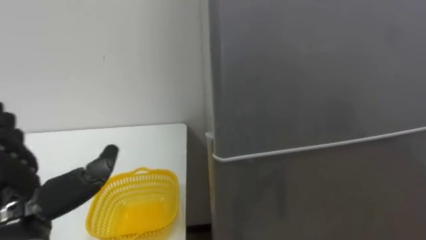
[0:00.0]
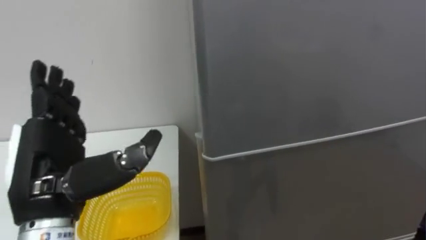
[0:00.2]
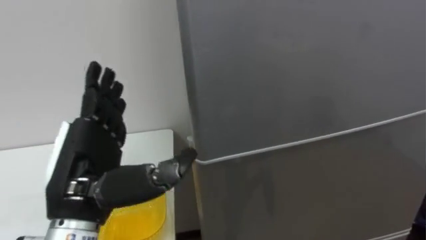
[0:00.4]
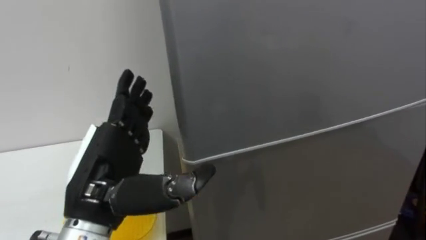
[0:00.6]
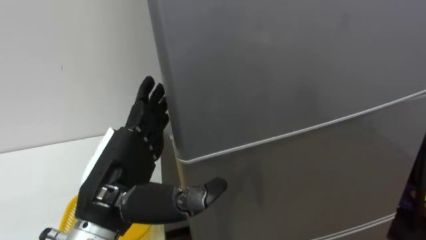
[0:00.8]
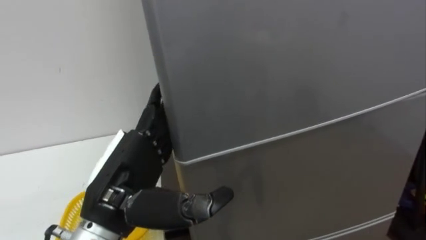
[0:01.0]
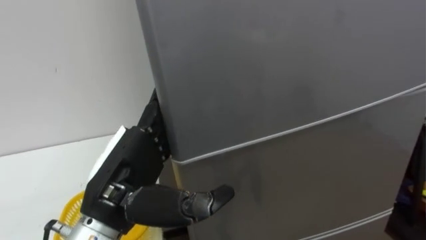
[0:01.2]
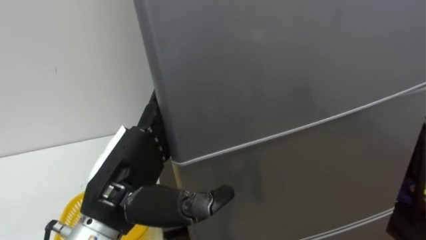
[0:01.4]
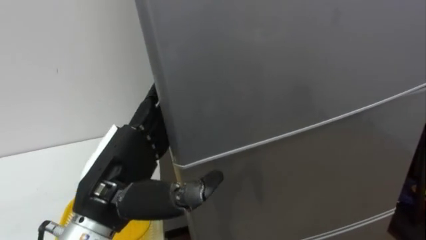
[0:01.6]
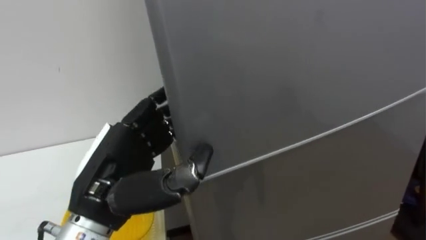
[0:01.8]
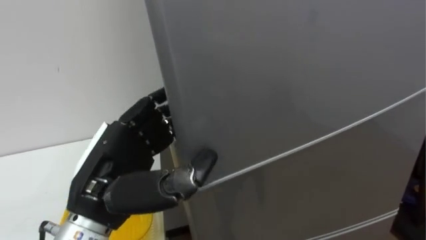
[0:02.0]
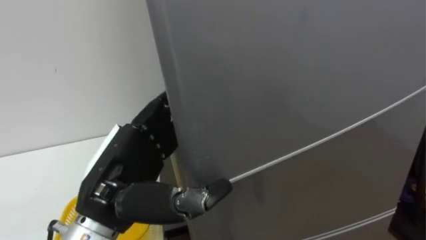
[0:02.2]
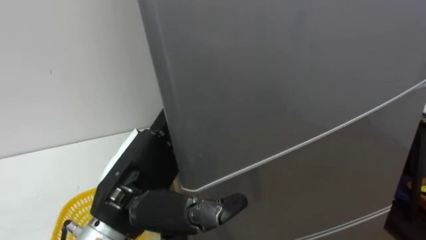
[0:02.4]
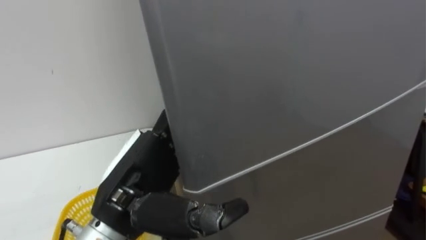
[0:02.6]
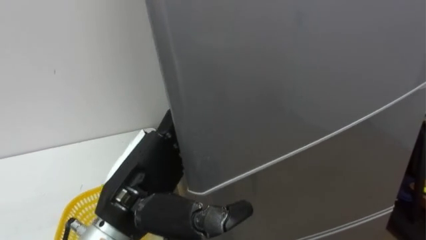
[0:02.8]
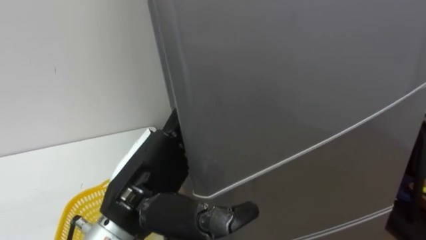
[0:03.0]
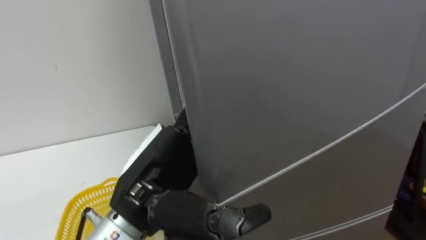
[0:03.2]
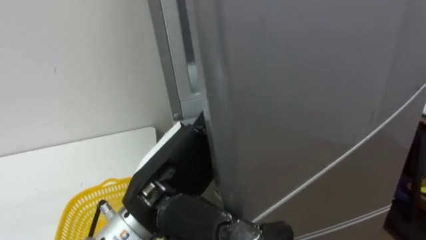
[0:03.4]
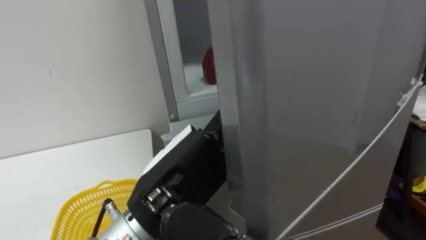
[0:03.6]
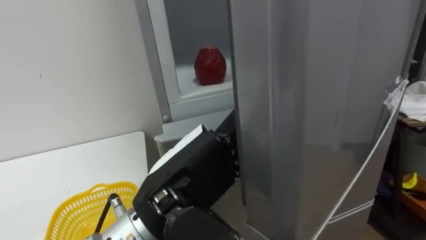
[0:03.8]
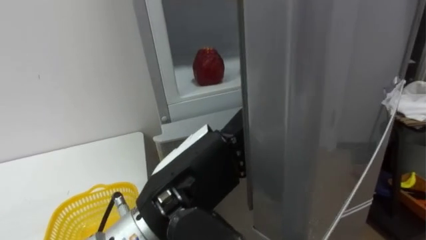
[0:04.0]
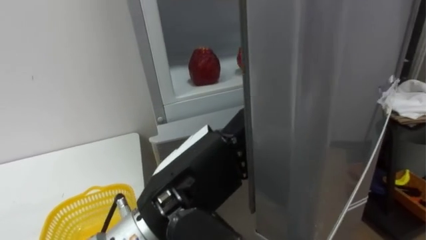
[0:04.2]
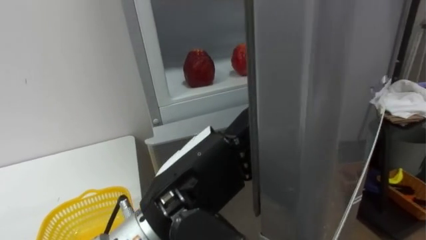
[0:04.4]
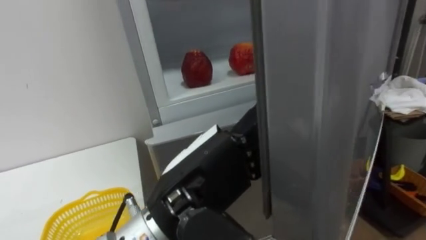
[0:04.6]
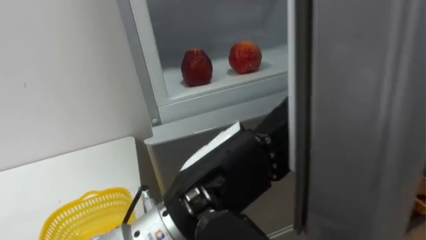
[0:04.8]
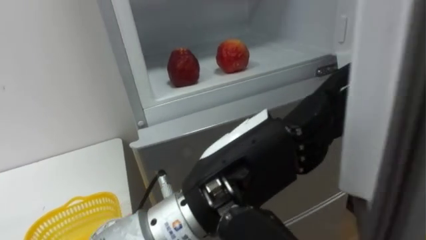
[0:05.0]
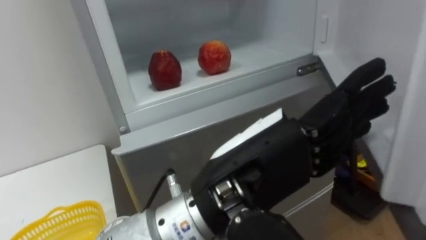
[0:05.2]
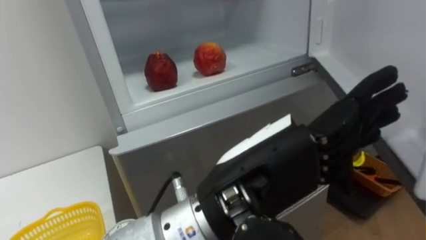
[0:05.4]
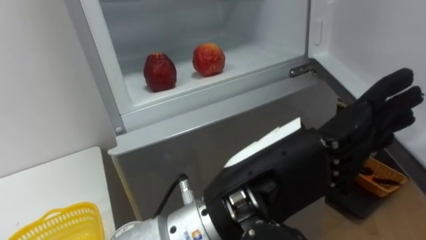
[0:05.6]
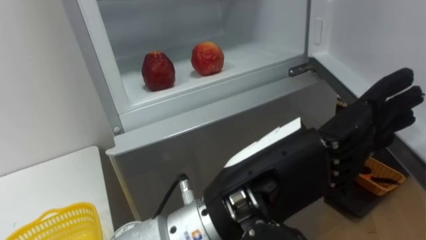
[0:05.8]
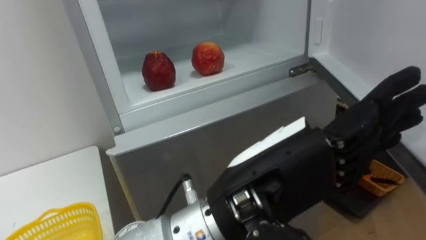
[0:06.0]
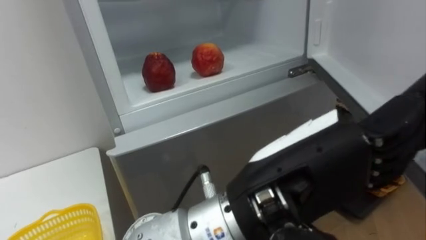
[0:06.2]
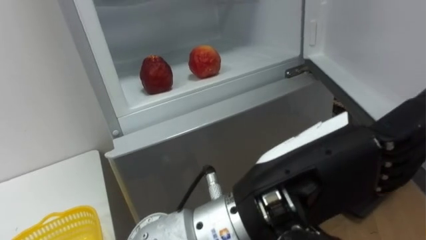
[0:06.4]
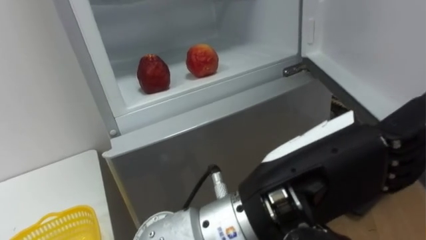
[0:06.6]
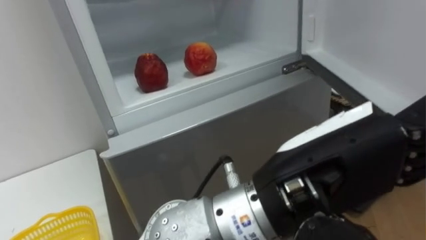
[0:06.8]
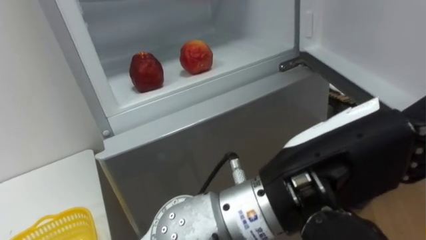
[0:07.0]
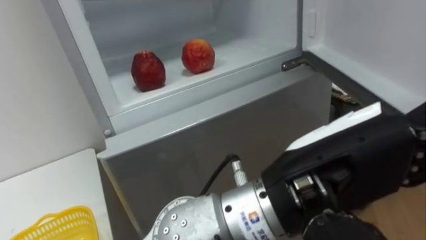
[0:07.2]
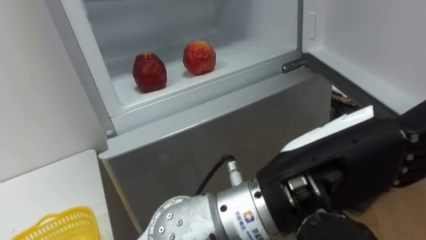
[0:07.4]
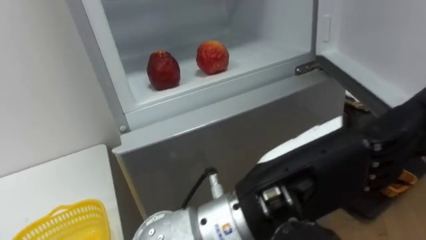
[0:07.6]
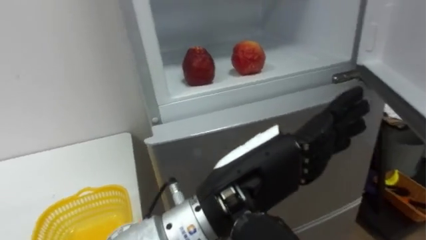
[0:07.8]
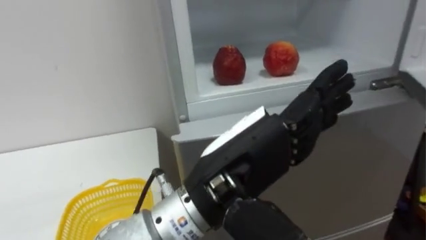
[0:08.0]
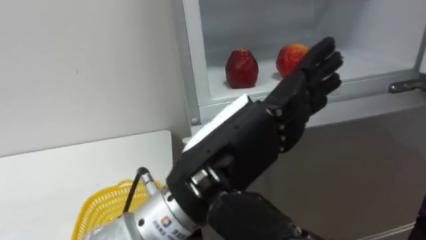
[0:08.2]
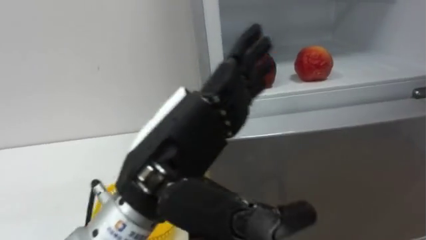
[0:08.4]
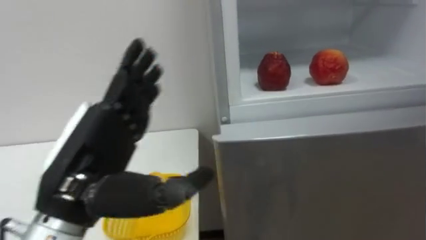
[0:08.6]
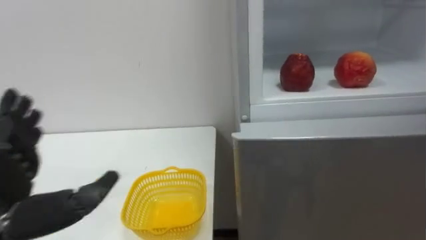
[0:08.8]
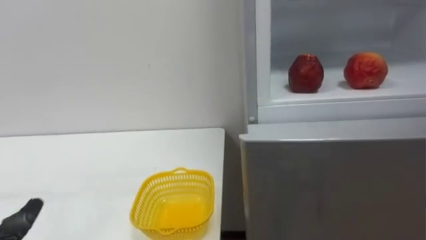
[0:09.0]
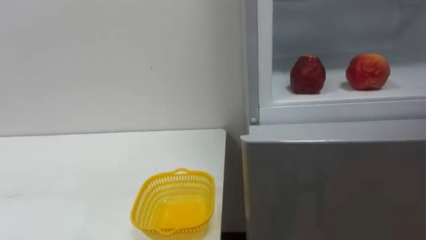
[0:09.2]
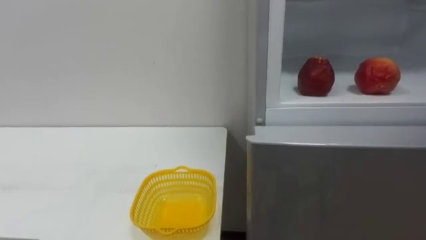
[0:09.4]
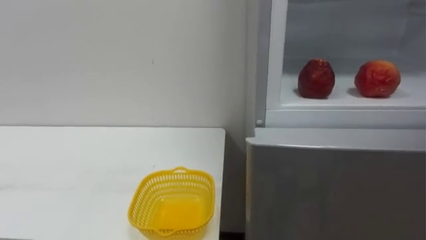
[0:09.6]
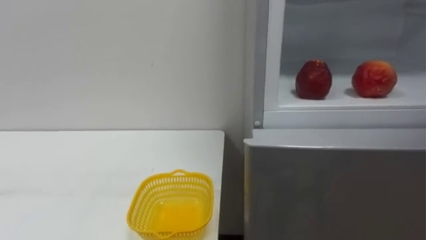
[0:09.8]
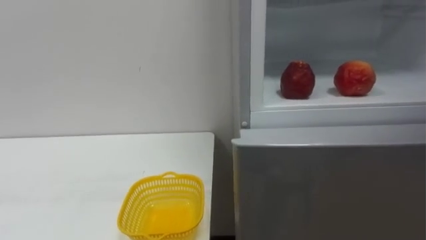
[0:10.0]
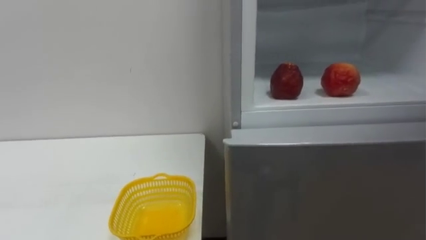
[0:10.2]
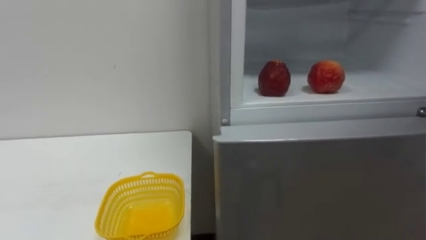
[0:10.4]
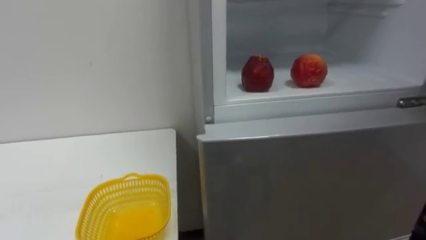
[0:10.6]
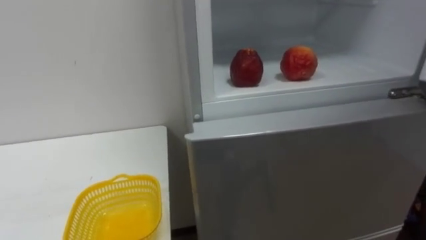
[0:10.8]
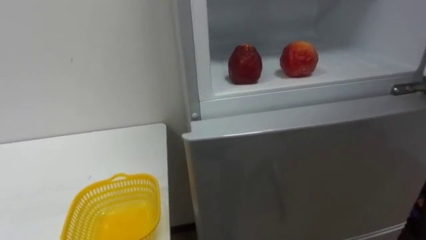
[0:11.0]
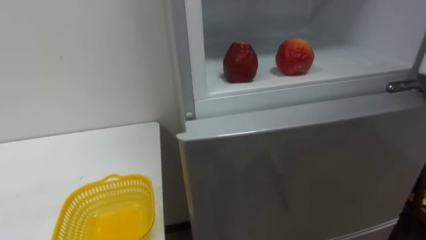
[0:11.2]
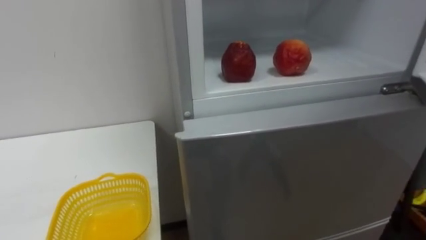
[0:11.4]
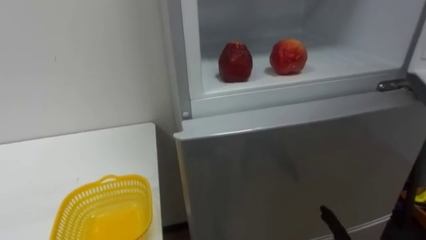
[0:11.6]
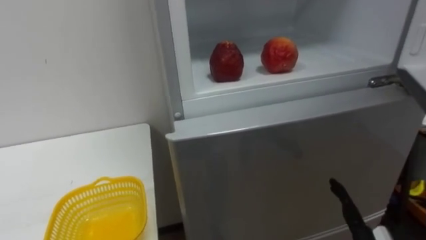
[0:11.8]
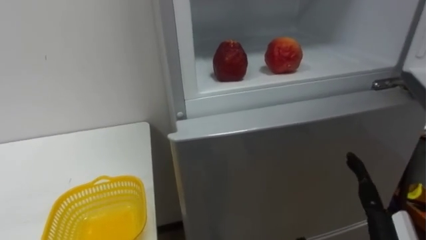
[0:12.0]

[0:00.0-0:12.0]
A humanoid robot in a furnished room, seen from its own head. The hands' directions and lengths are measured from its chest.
Task of the whole recording: Open the refrigerator door, take out the apple and the pomegranate, place them in the fruit basket on the left, and close the refrigerator door.
0:00.0 to 0:01.6: The left hand heads to the right, covering some 15 cm.
0:03.0 to 0:04.4: The left hand is displaced to the right by roughly 5 cm.
0:04.4 to 0:06.0: The left hand goes about 5 cm to the right.

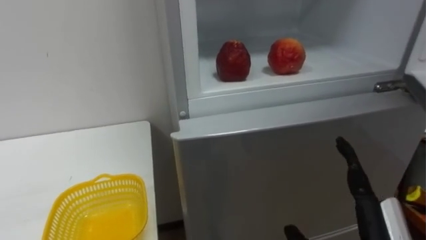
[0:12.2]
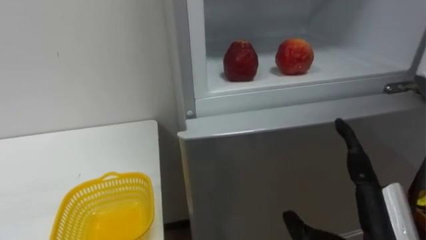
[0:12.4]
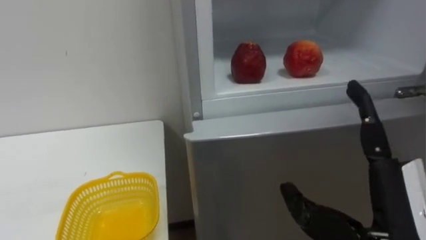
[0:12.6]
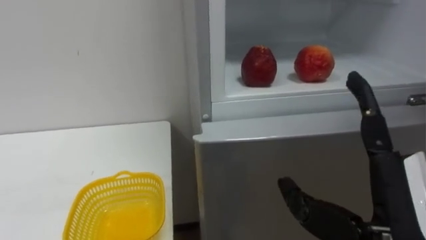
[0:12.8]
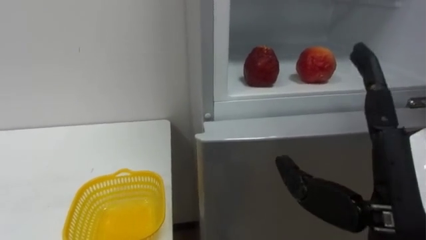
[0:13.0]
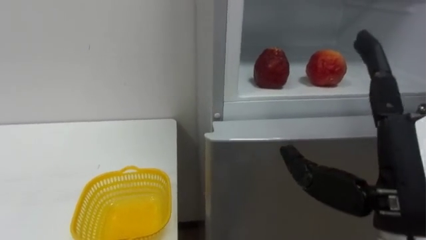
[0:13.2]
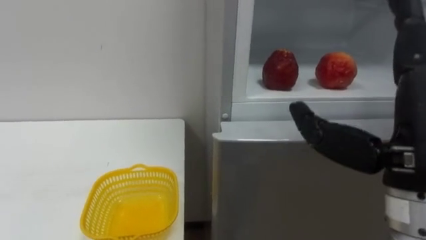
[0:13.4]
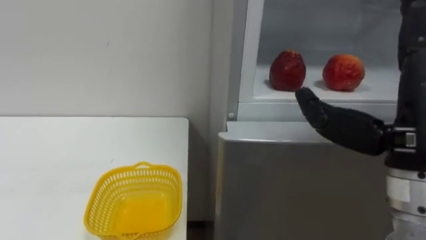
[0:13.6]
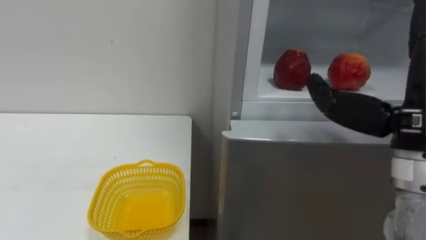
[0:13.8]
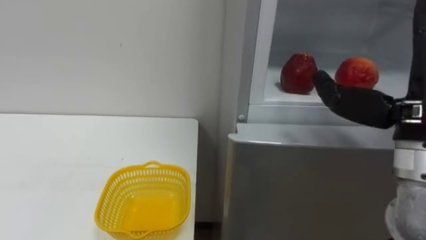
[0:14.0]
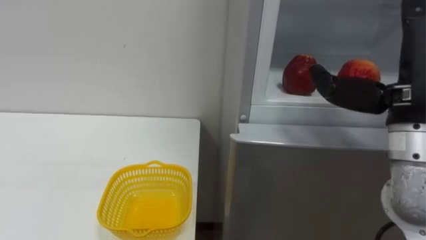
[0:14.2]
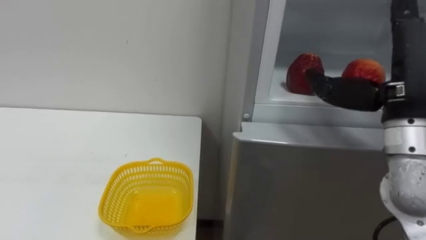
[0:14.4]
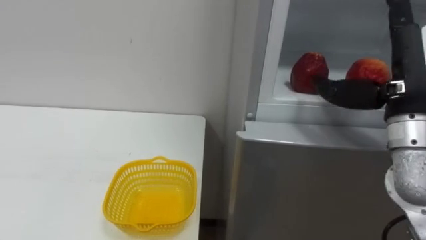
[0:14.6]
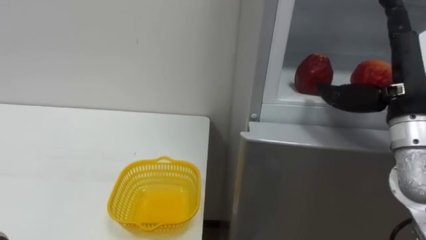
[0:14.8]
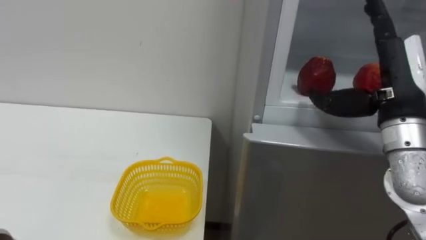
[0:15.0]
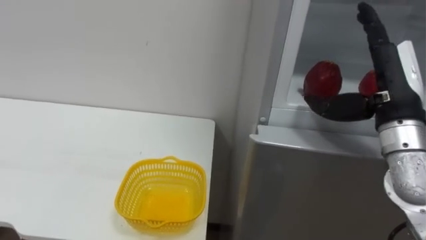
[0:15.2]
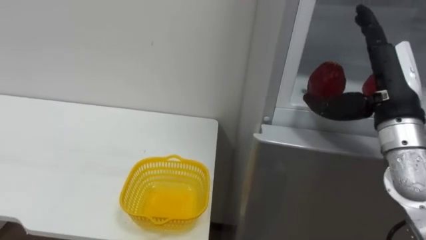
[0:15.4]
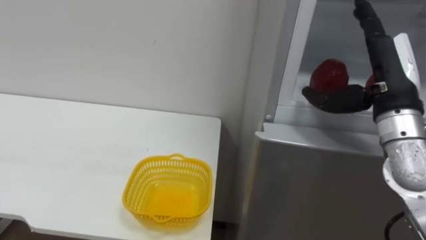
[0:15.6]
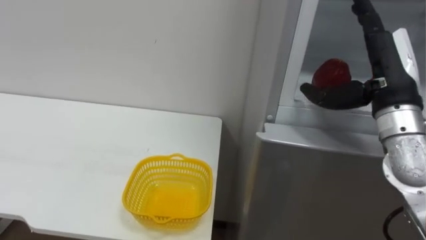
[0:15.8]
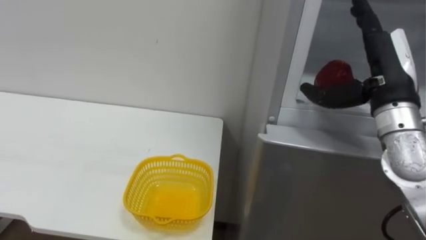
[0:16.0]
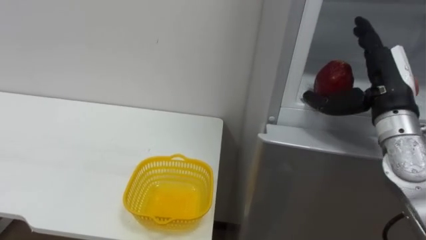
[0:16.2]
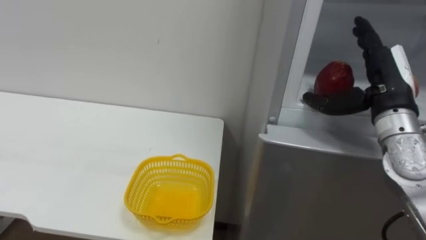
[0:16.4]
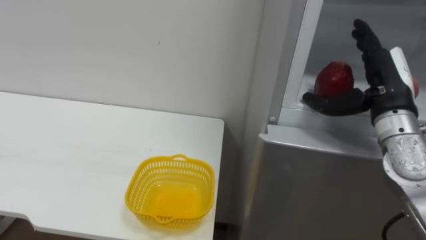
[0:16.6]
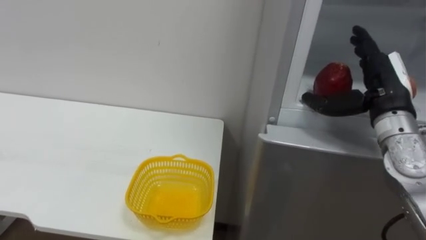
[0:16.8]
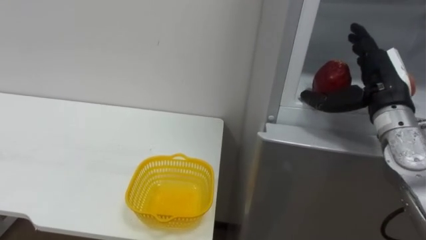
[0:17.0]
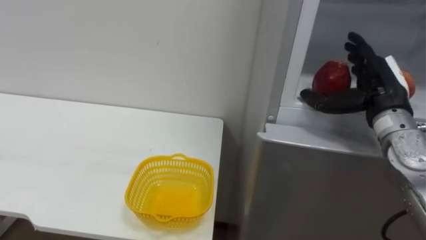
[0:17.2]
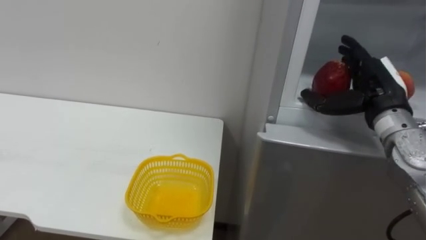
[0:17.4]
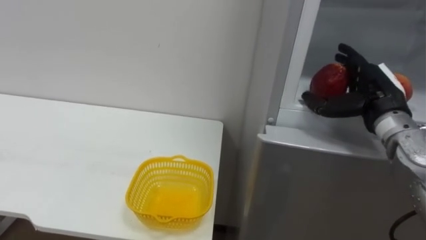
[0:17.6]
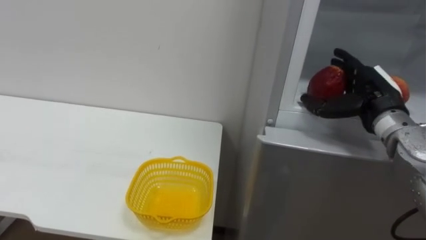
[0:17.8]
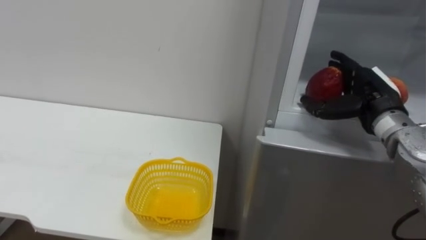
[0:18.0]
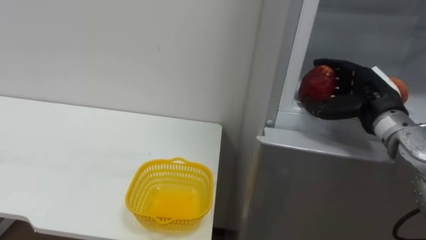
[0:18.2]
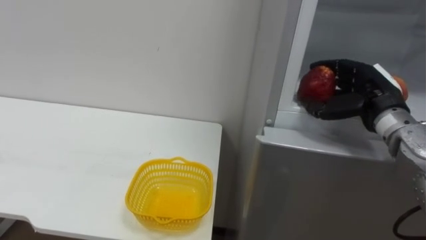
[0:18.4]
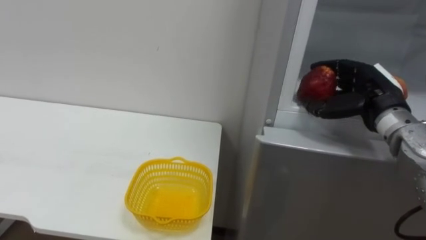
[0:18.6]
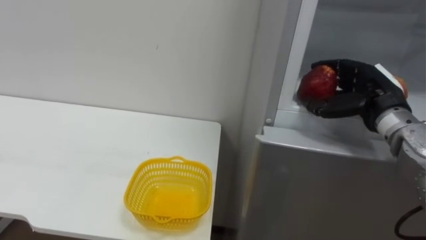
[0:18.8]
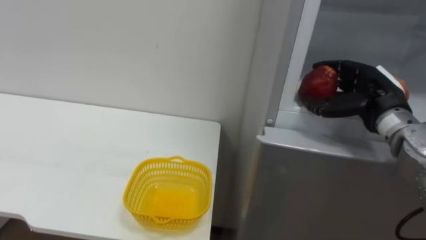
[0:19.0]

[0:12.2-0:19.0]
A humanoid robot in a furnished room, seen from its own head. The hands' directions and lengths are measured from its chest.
Task of the whole recording: Open the refrigerator door, take out the apple and the pomegranate, place them in the fruit basket on the left, and close the refrigerator door.
0:13.6 to 0:15.0: The right hand travels forward by about 10 cm.
0:17.6 to 0:19.0: The right hand closes up.
